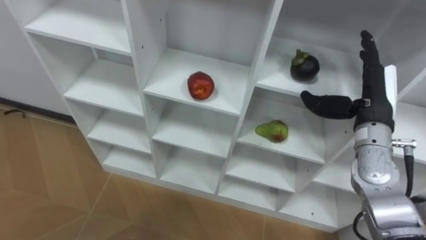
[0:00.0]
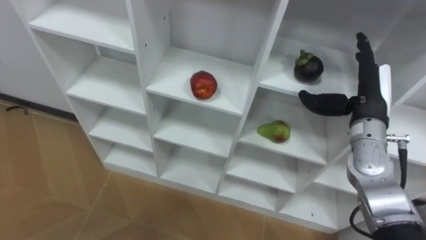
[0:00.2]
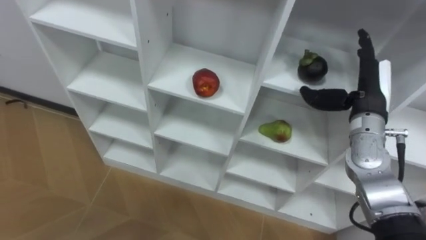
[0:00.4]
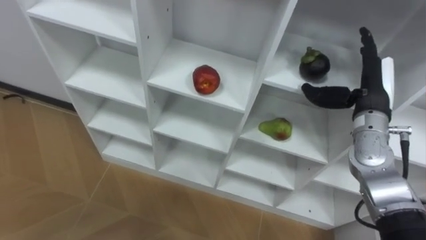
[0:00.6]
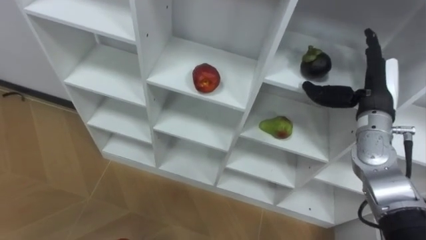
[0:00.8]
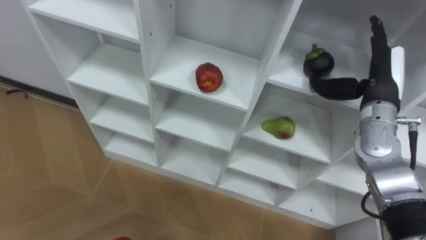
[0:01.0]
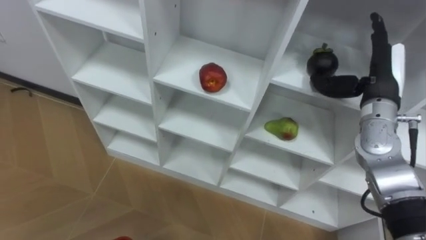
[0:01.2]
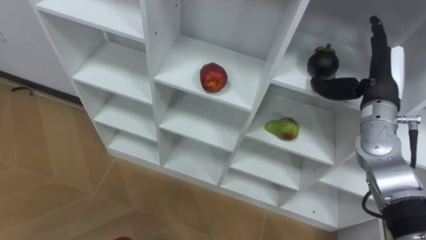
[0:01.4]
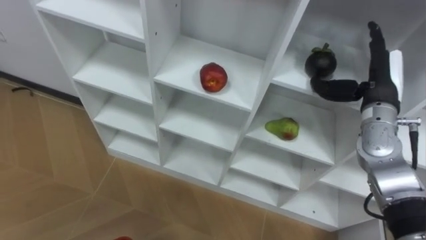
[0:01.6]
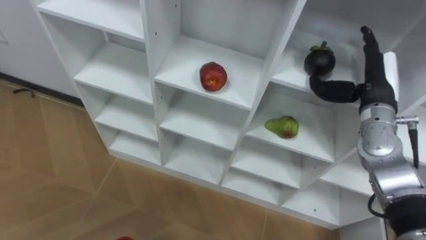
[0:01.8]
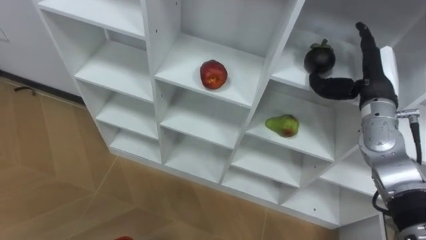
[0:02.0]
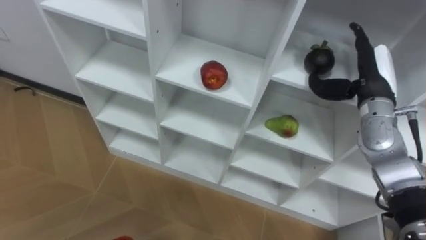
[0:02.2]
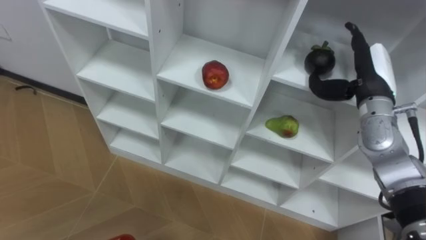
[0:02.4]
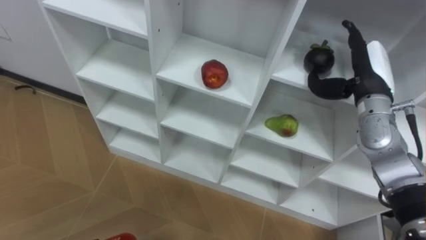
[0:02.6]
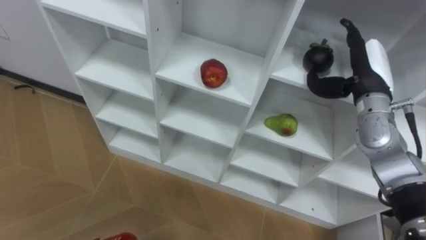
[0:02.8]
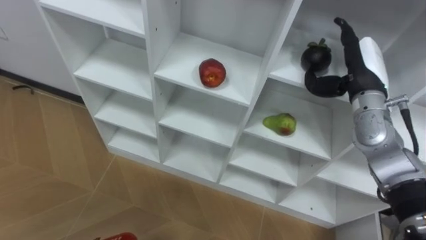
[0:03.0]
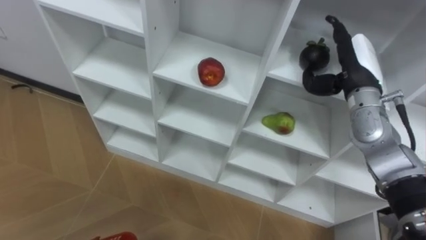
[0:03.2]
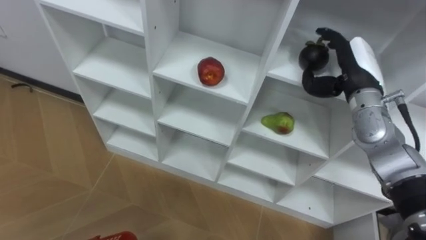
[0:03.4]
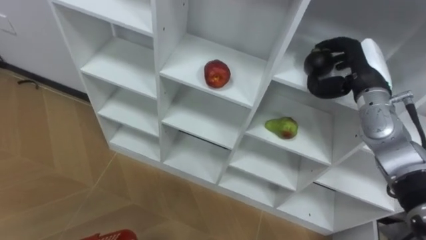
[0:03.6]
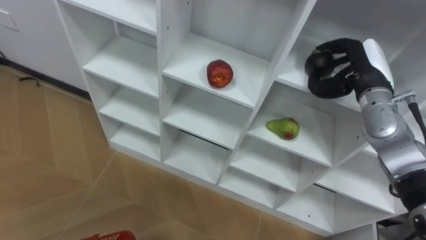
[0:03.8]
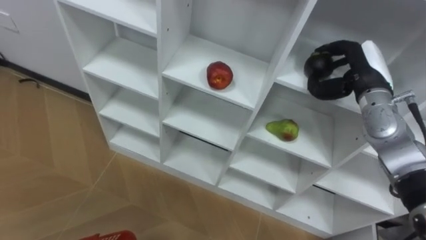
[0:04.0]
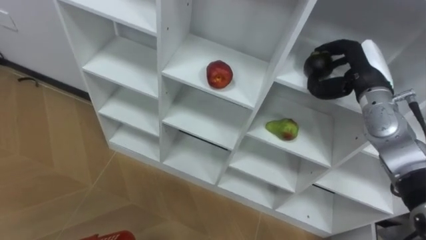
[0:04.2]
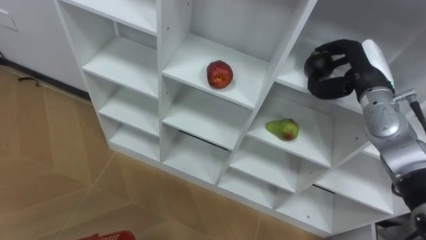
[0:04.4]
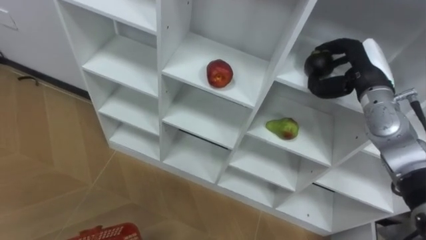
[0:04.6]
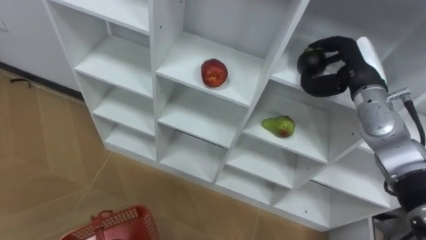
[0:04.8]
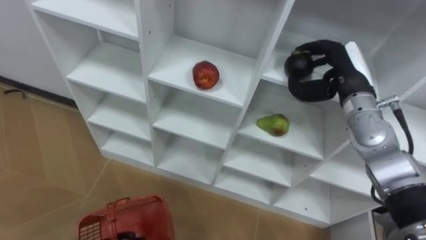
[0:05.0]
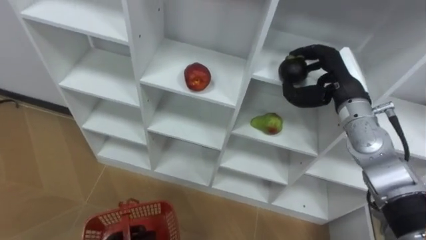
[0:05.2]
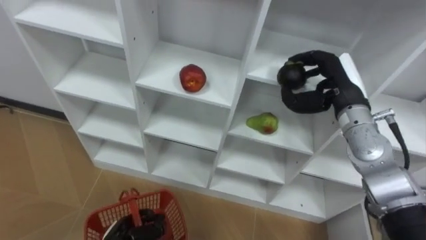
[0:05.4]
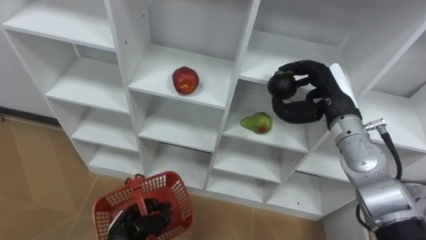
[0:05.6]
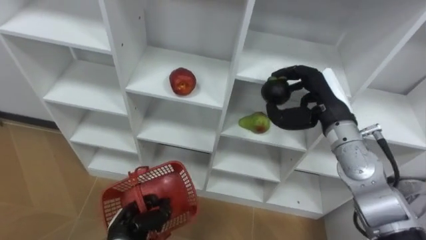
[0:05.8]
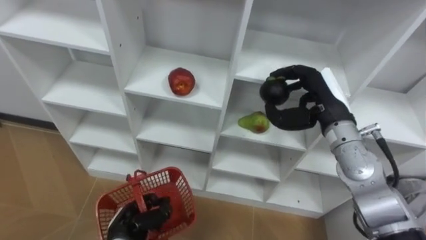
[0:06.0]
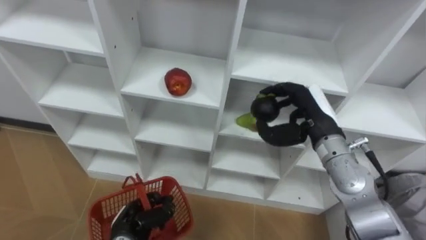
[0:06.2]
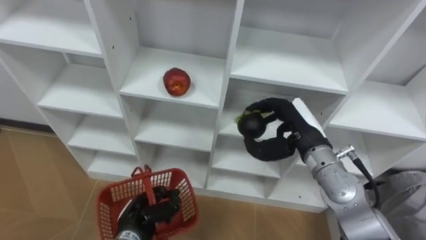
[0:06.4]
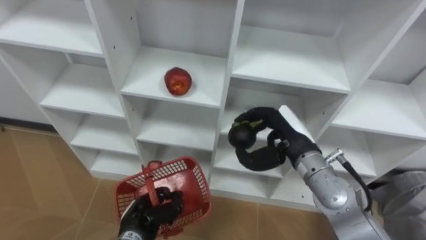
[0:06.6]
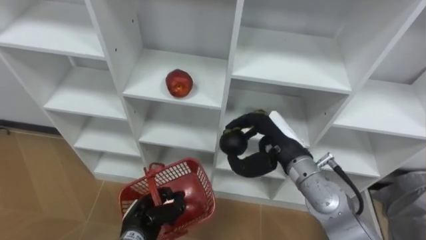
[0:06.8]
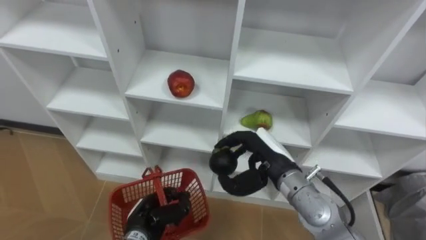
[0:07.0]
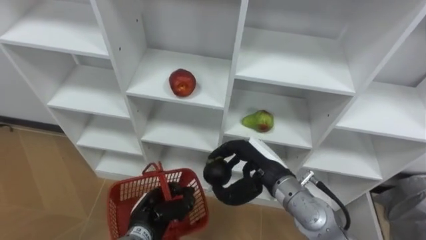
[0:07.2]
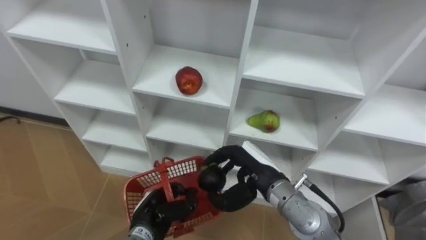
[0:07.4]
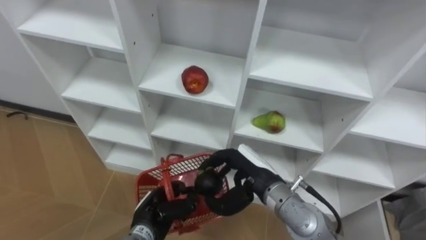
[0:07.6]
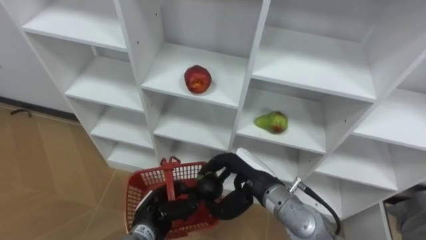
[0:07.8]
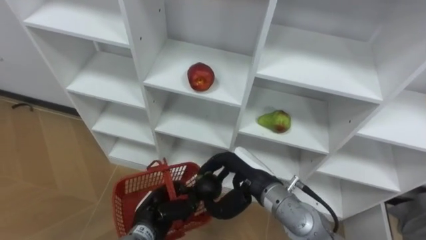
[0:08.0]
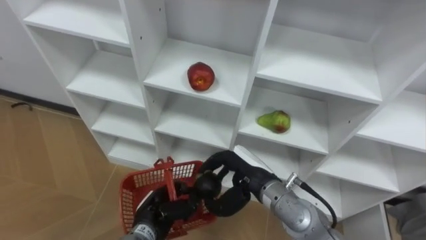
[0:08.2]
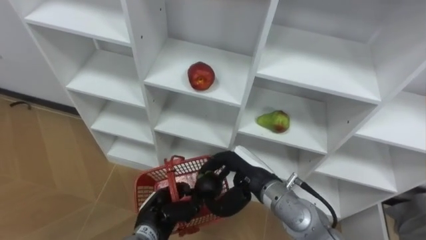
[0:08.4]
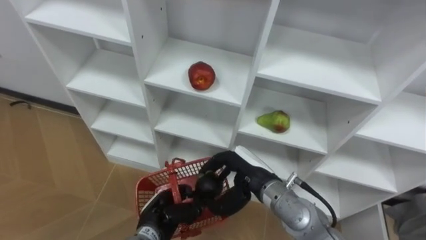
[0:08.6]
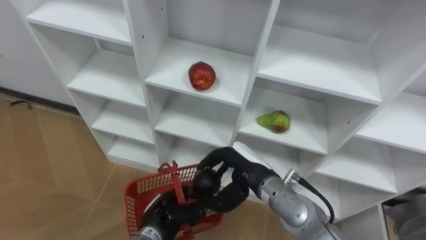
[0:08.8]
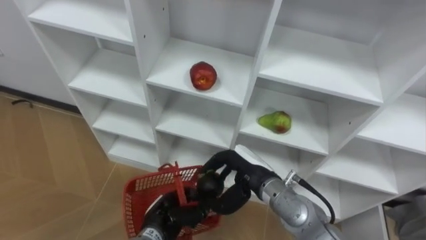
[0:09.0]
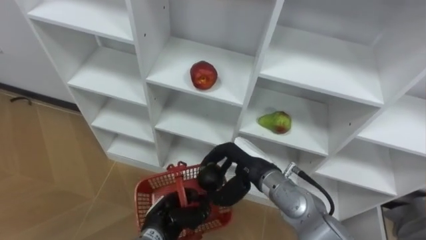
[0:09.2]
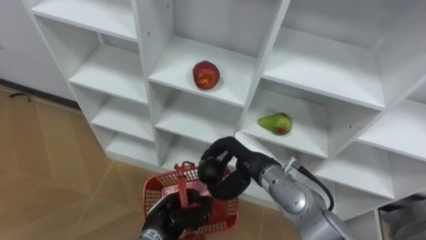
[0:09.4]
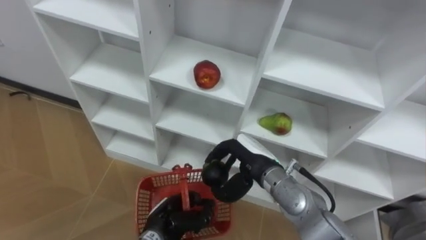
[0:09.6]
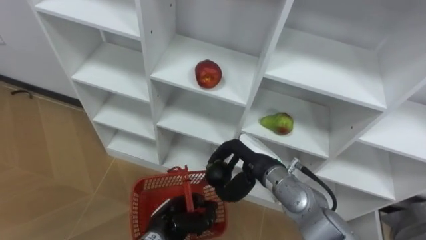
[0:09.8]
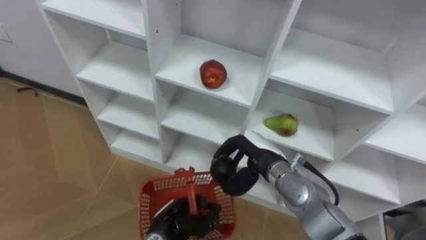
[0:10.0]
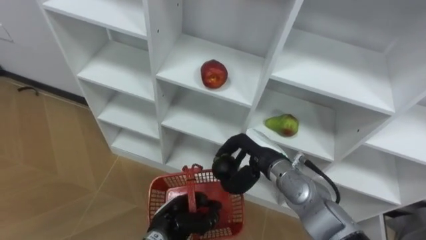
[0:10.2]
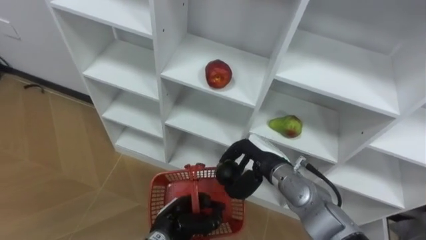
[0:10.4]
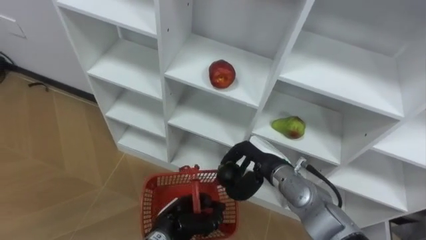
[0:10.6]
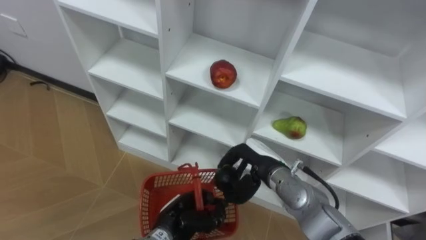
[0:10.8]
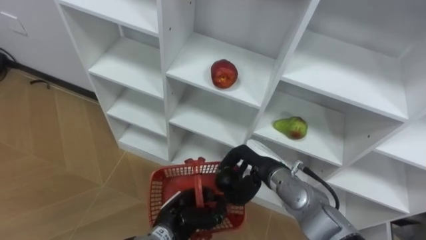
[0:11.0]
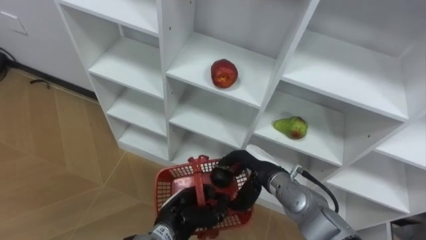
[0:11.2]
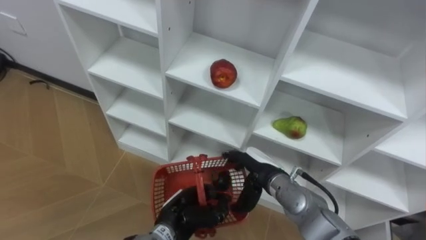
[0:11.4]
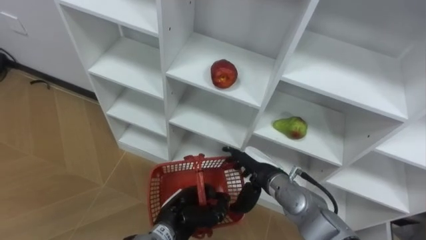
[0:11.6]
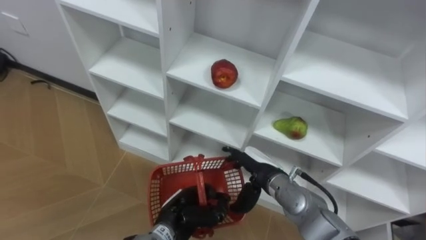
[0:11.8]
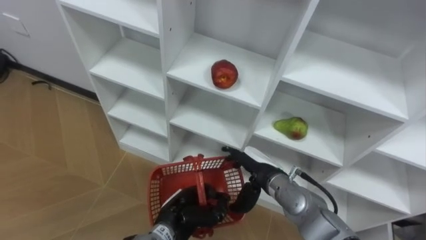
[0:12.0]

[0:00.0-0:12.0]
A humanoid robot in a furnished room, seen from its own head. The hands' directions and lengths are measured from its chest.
Task of the whole recording: Hold the basket and collect the fruits from 3 different cells of the closet into it.
3.0 to 4.4 s: The right hand closes its fingers.
4.4 to 6.0 s: The right hand is displaced to the left and backward by some 10 cm.
6.0 to 7.6 s: The left hand travels to the right by roughly 5 cm, while the right hand shifts some 20 cm to the left, downward and backward.
10.4 to 12.0 s: The right hand opens up.

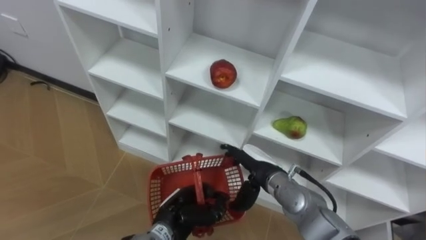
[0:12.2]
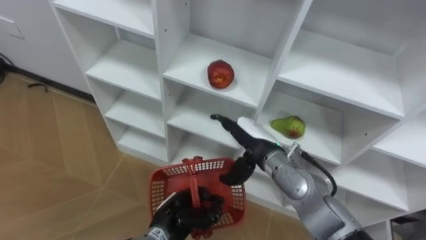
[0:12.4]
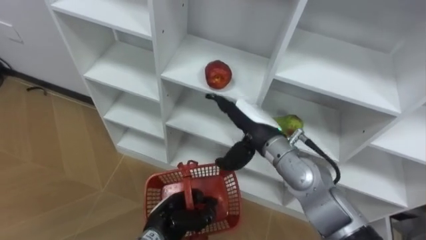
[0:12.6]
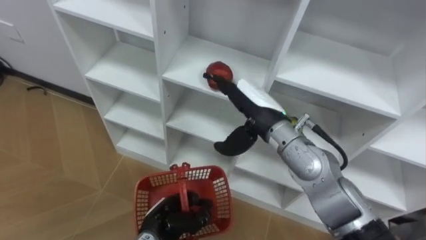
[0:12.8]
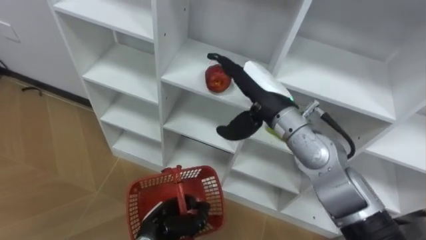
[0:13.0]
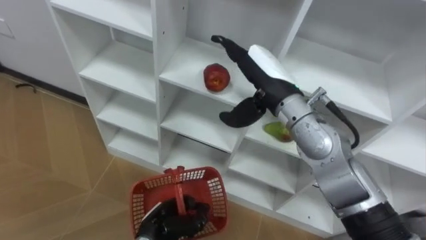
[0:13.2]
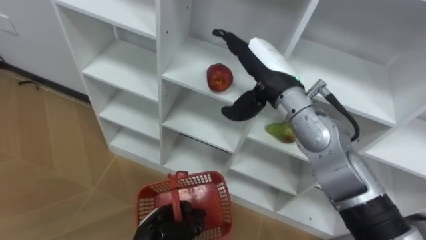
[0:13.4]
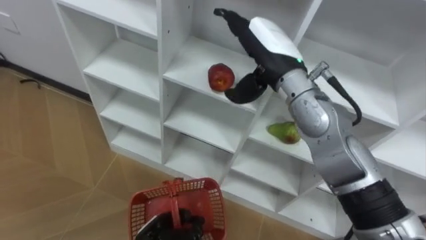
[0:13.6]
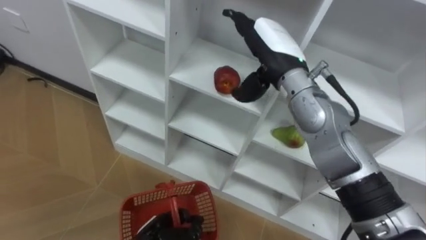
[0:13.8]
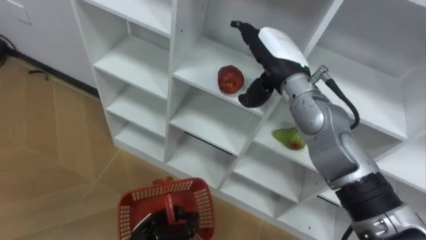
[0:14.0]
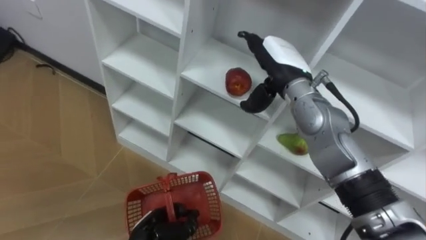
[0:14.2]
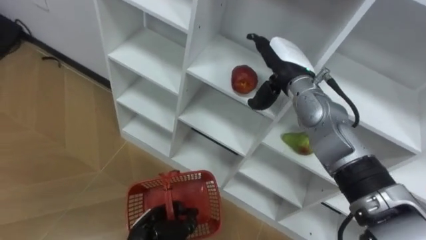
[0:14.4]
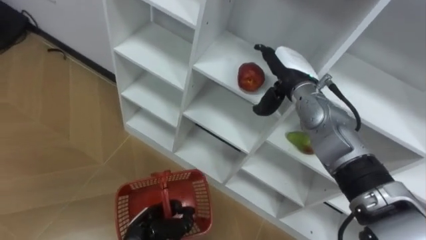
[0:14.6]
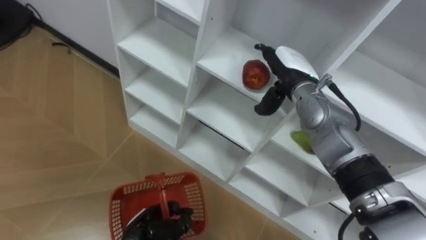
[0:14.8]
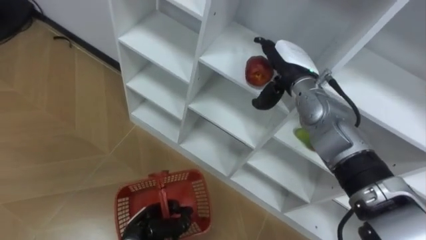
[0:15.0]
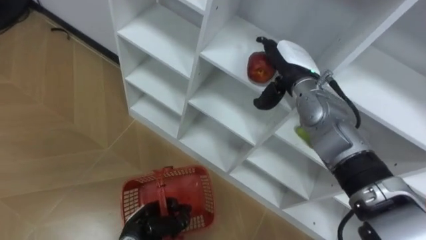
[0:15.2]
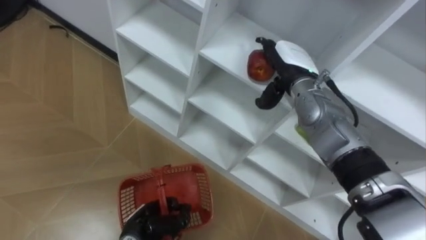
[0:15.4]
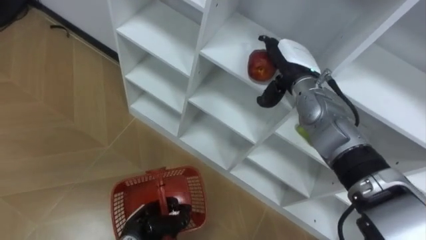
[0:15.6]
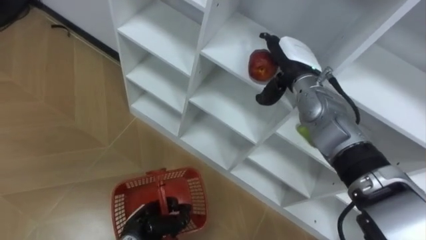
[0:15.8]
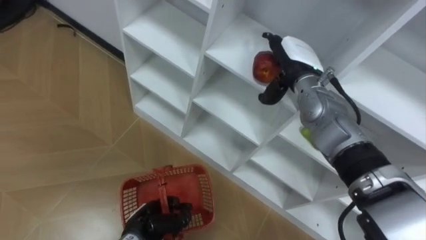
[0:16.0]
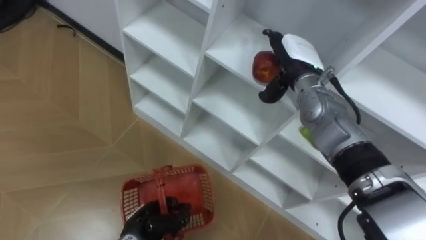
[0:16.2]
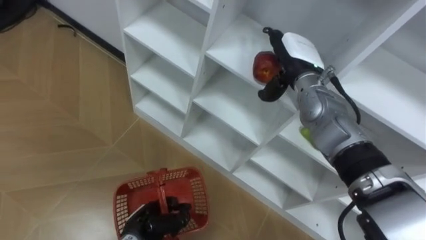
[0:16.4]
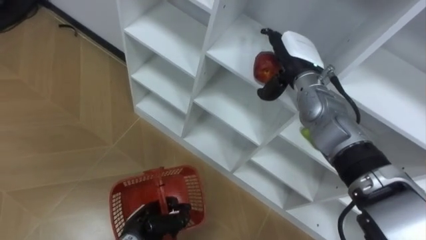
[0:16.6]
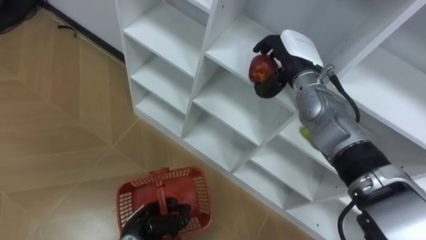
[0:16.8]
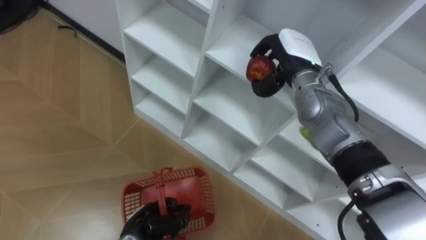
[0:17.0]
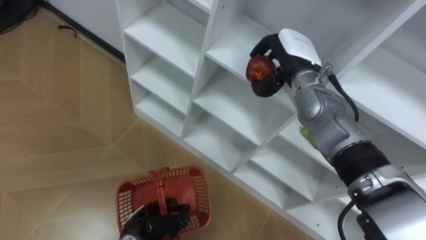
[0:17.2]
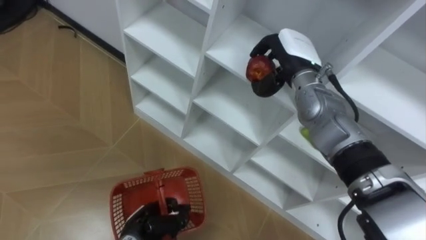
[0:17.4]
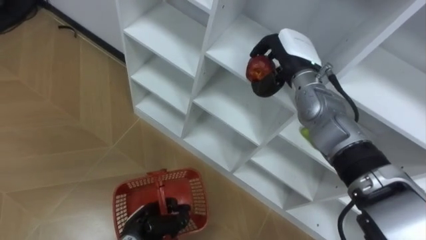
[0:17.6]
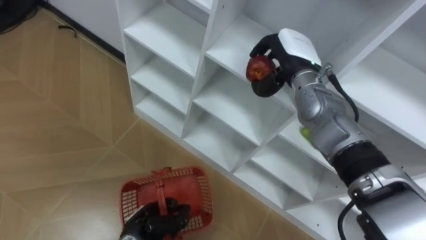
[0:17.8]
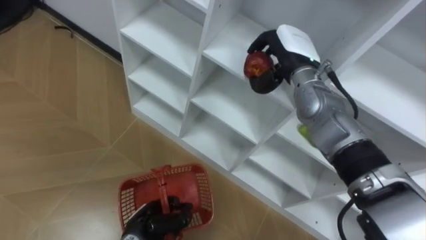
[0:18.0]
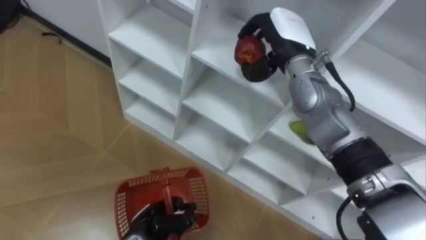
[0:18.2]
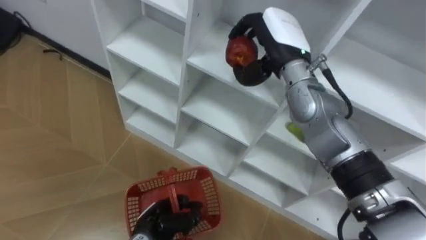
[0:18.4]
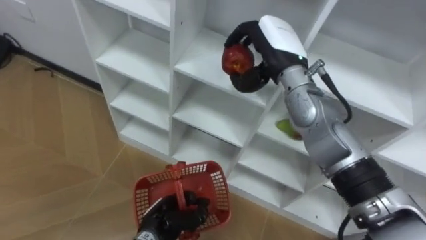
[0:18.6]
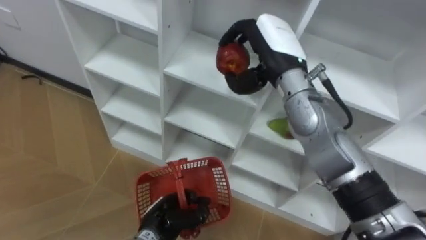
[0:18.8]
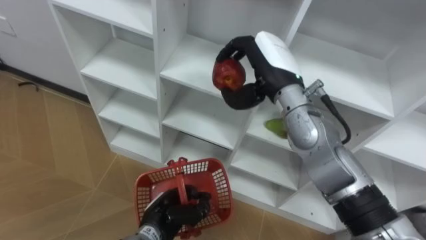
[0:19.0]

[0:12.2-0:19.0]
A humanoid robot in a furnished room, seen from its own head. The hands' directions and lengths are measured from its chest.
Task of the whole recording: Hold the basket and collect the fruits from 3 different cells of the closet into it.
12.2 to 13.6 s: The left hand ends up some 5 cm from where it was, while the right hand is displaced upward by about 25 cm.
13.6 to 15.0 s: The right hand goes some 10 cm downward, forward and to the right.
16.2 to 17.6 s: The right hand closes up.
17.6 to 19.0 s: The left hand moves roughly 5 cm. Meanwhile the right hand moves backward, roughly 5 cm.
